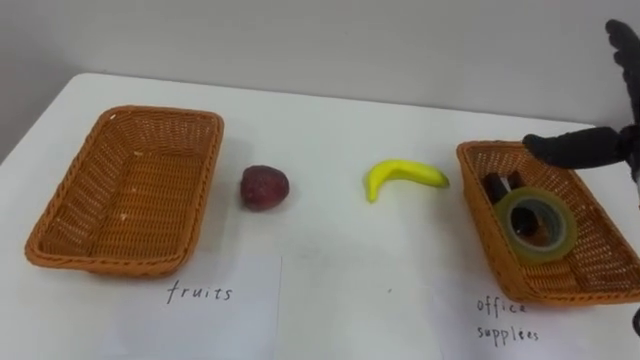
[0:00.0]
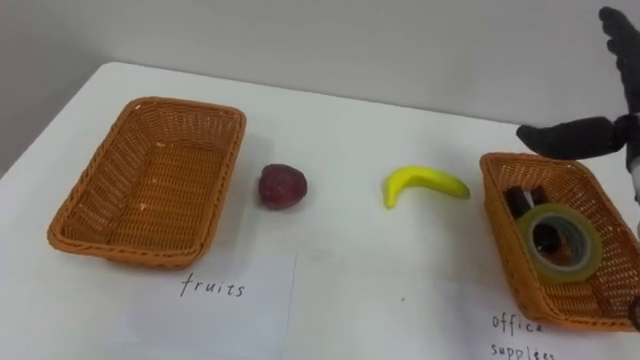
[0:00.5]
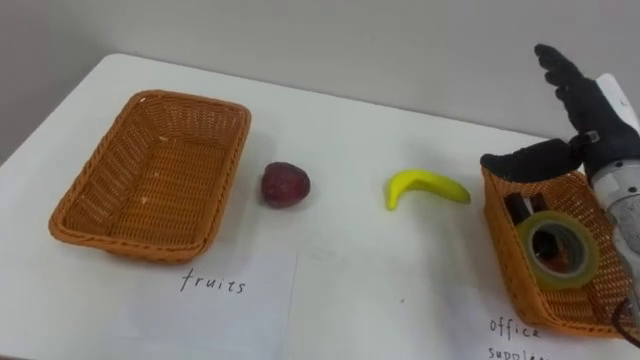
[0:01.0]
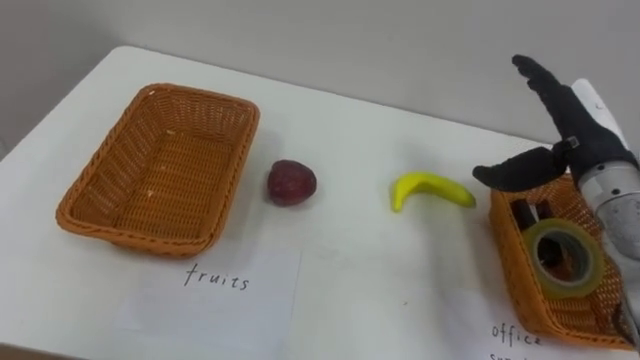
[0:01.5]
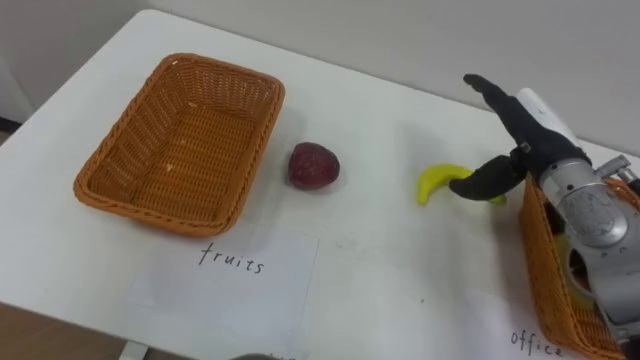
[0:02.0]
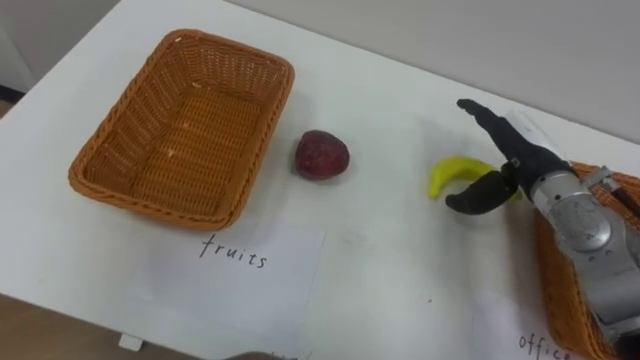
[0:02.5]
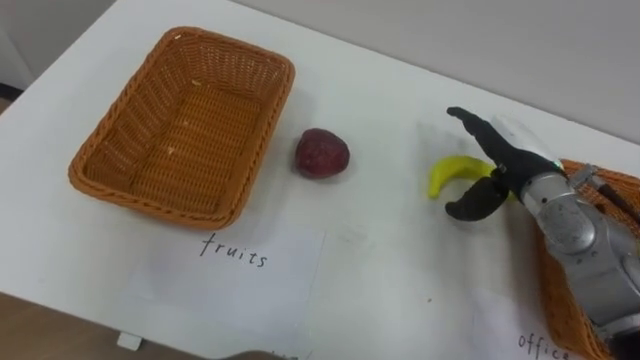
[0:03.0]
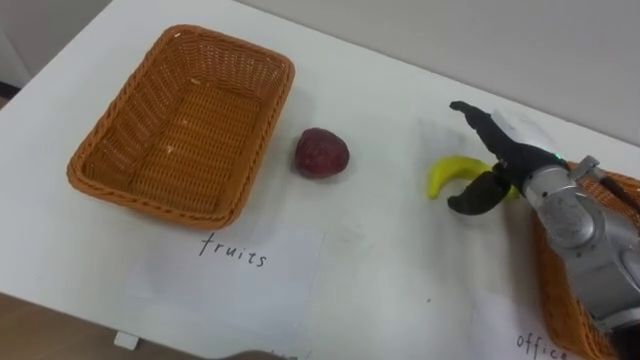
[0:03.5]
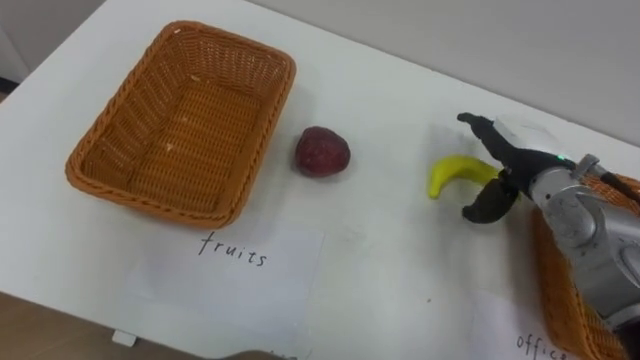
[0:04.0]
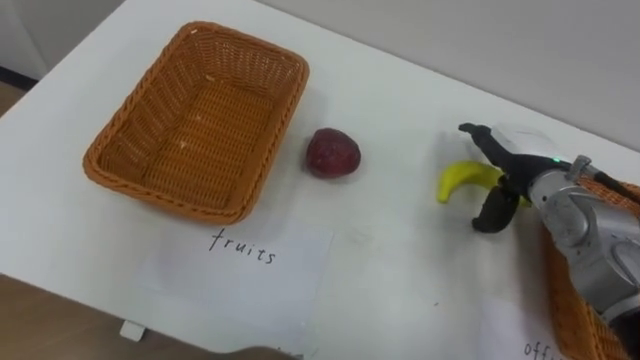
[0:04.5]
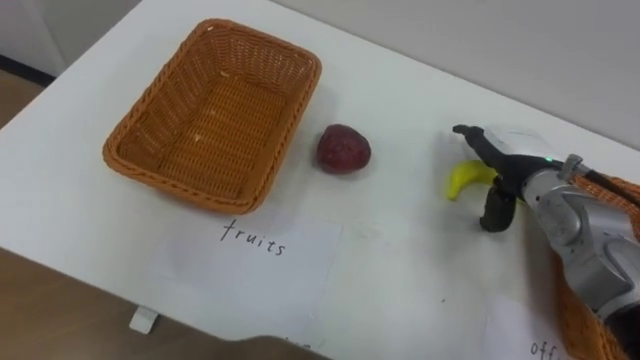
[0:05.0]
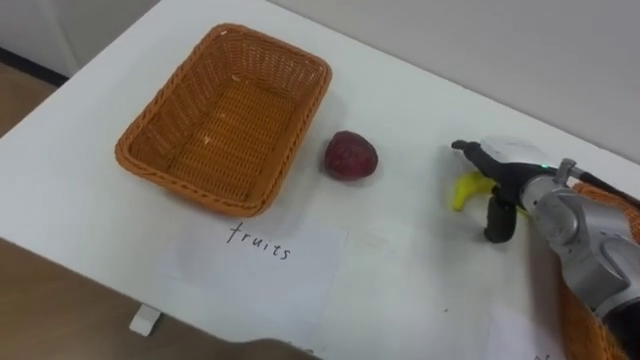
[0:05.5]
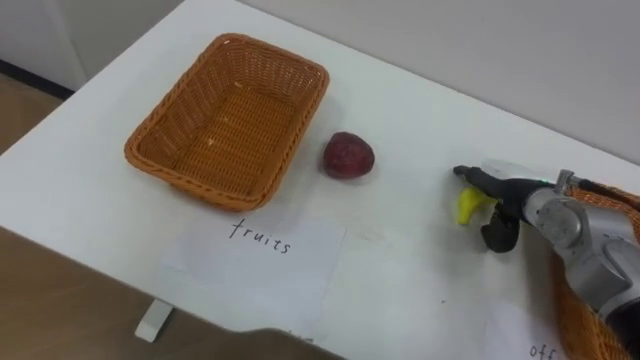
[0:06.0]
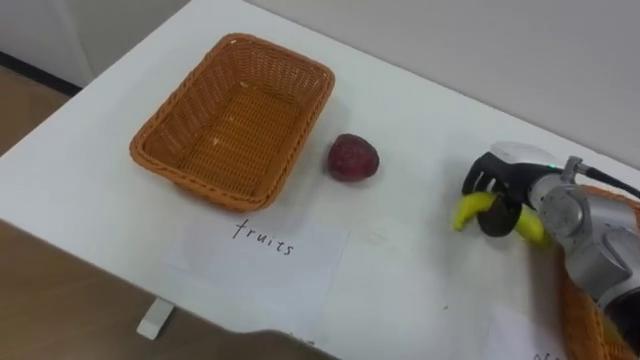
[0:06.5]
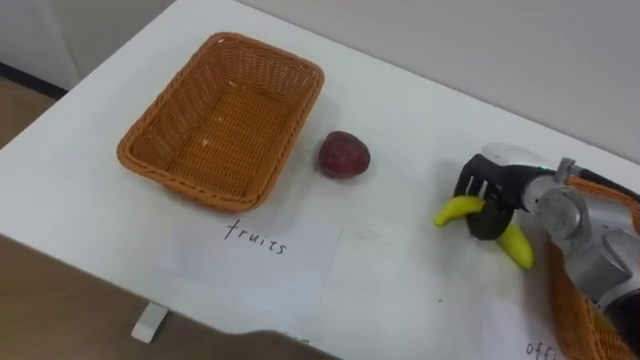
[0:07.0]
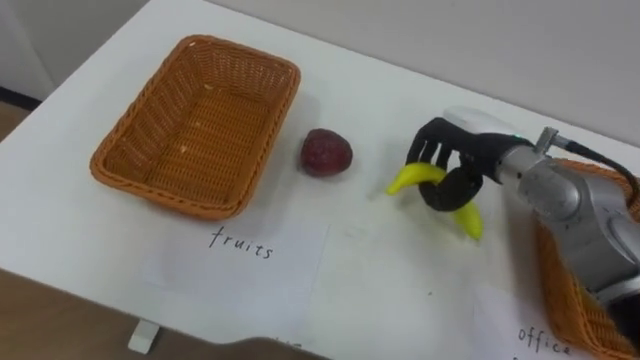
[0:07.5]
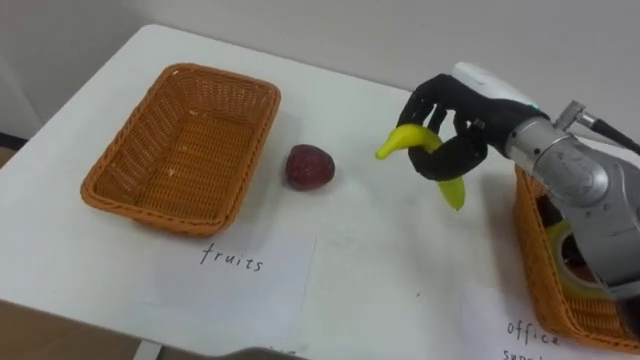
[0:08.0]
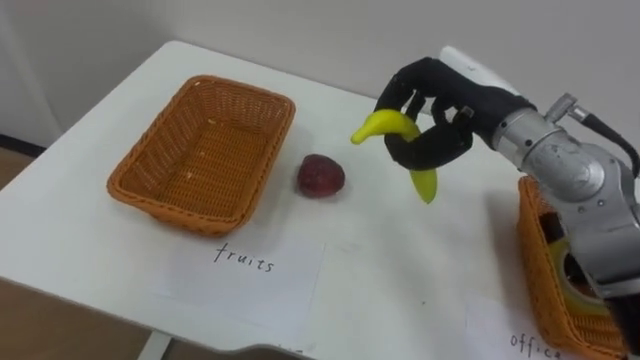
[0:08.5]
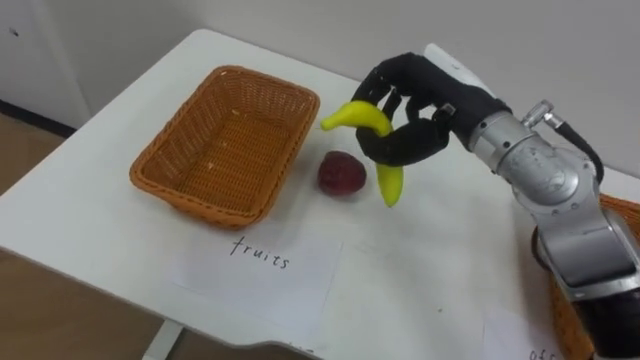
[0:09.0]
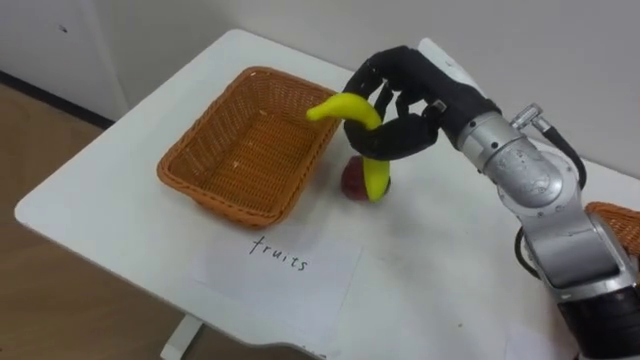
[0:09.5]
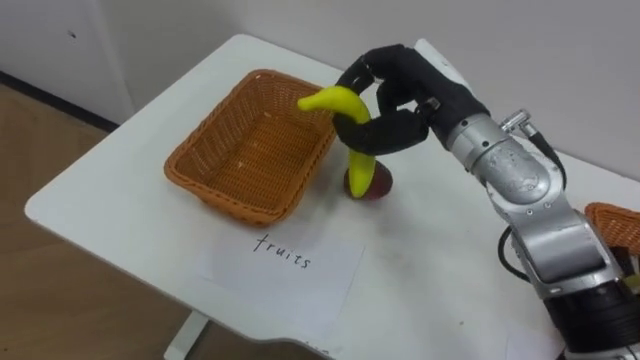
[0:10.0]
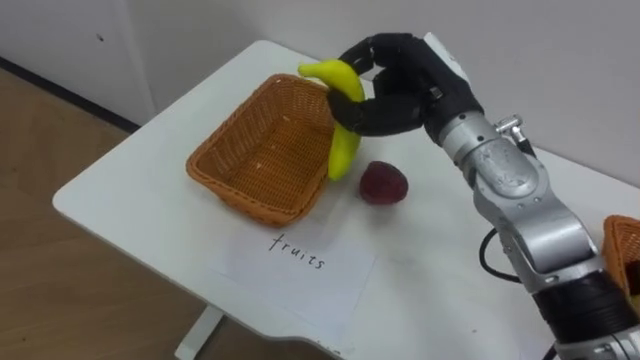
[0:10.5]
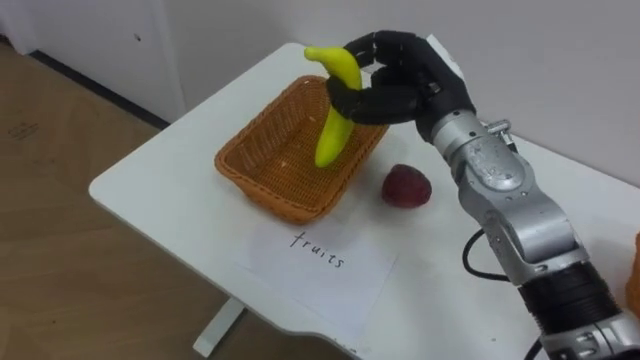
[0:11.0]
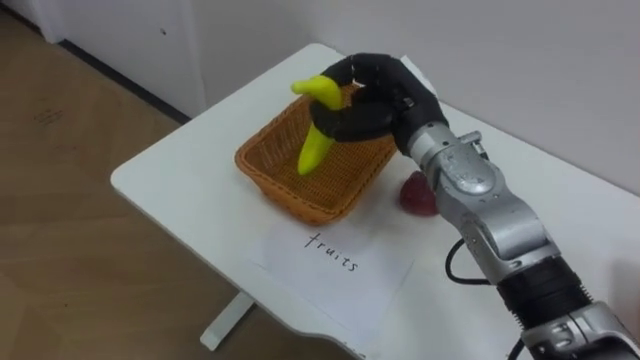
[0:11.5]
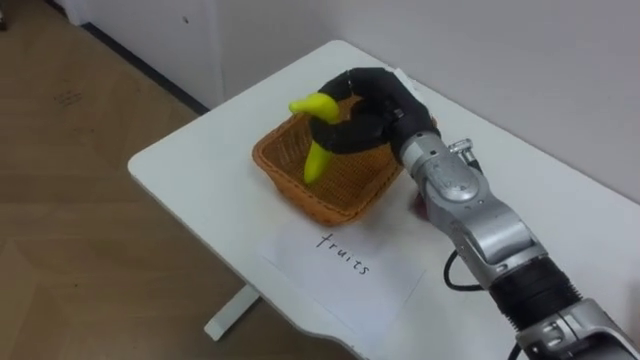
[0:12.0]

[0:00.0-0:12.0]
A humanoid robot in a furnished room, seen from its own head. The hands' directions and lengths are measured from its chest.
Task of the whole recording: Separate the items on the table and place them into the two baskets.
0:04.0 to 0:06.0: The right hand moves downward, about 5 cm.
0:06.0 to 0:08.0: The right hand heads upward and to the left, covering approximately 15 cm, and closes up.
0:08.0 to 0:10.0: The right hand heads to the left, covering about 5 cm.
0:10.0 to 0:12.0: The right hand shifts by about 5 cm.

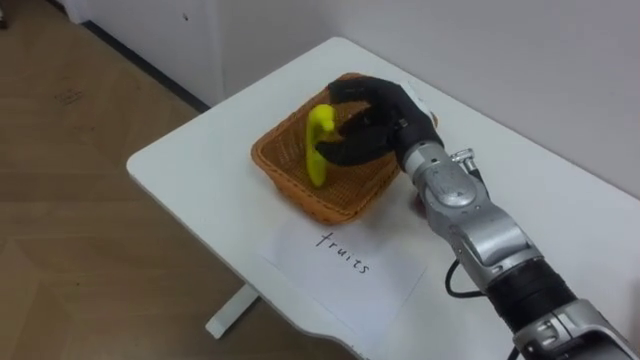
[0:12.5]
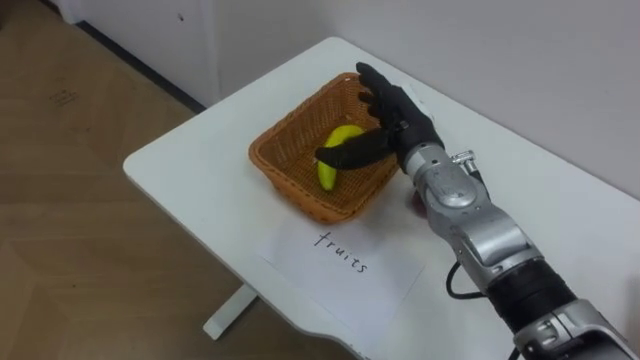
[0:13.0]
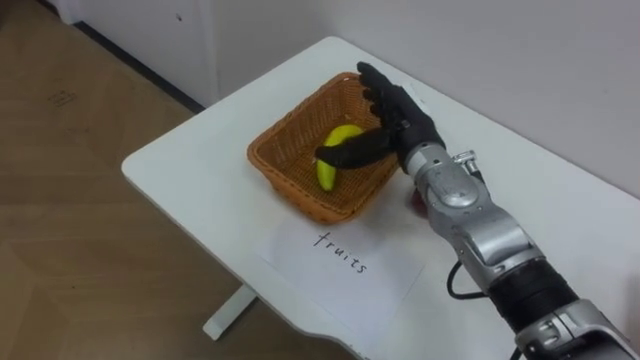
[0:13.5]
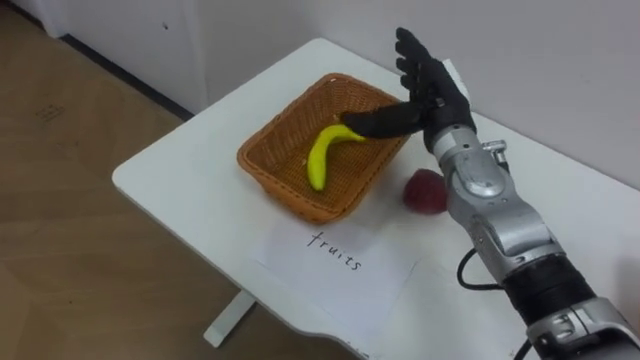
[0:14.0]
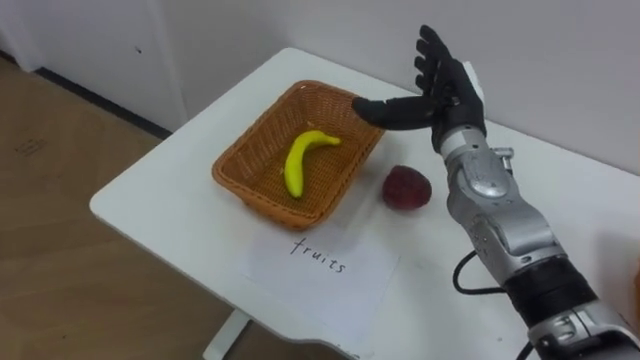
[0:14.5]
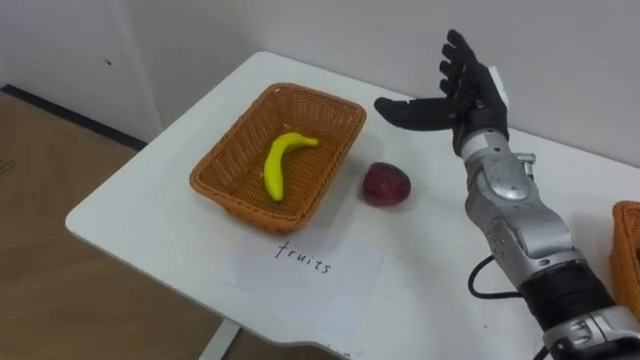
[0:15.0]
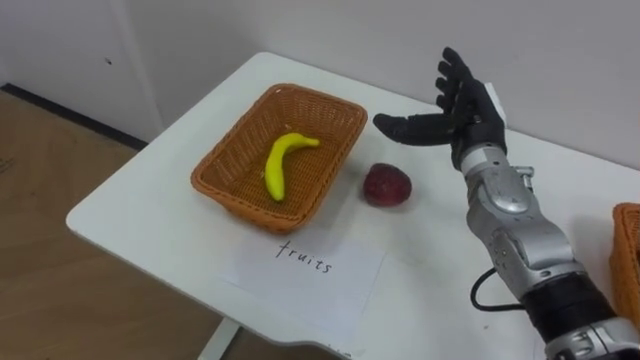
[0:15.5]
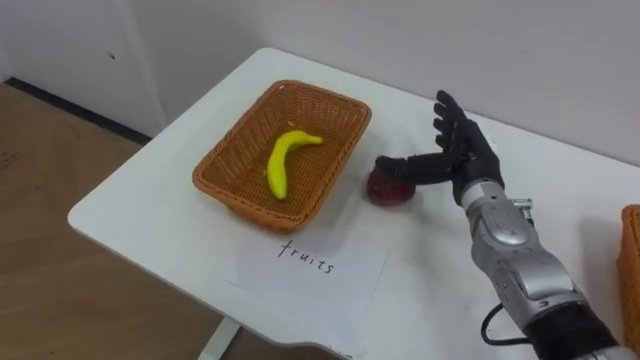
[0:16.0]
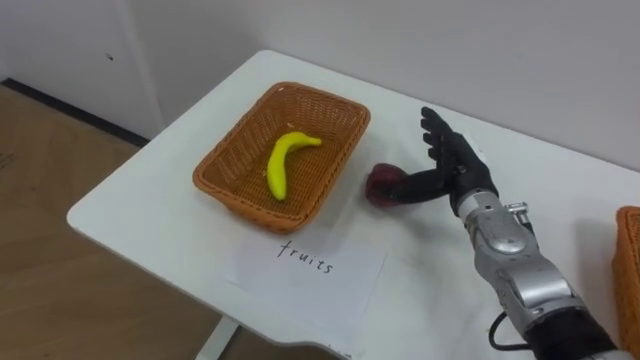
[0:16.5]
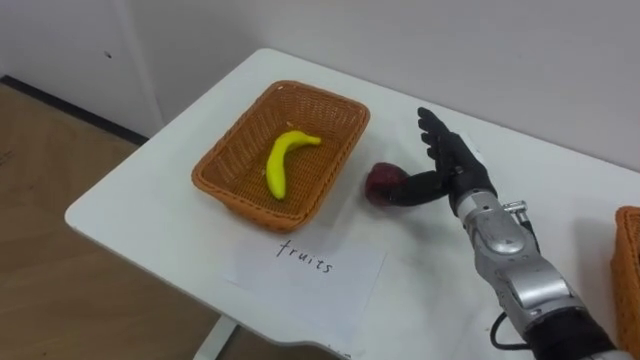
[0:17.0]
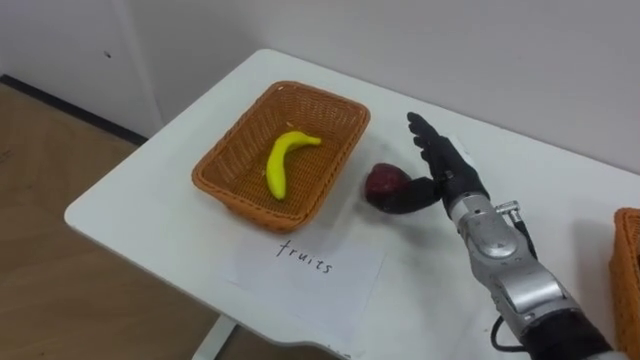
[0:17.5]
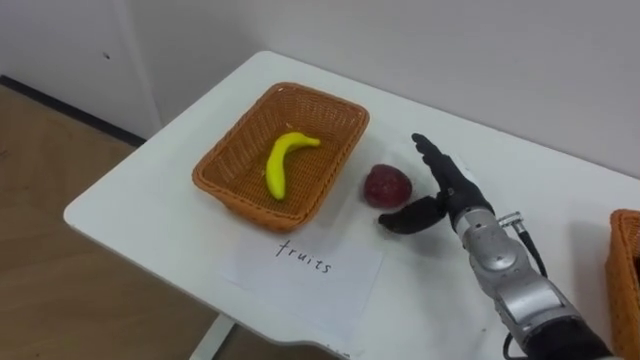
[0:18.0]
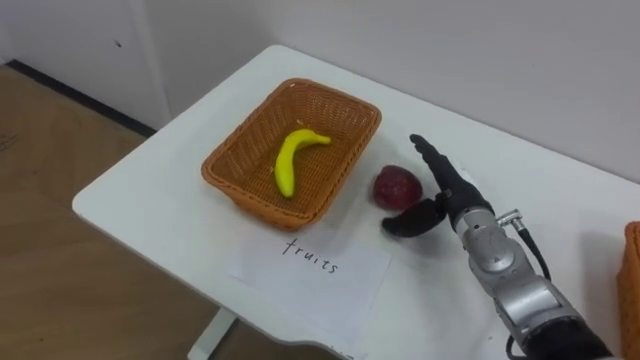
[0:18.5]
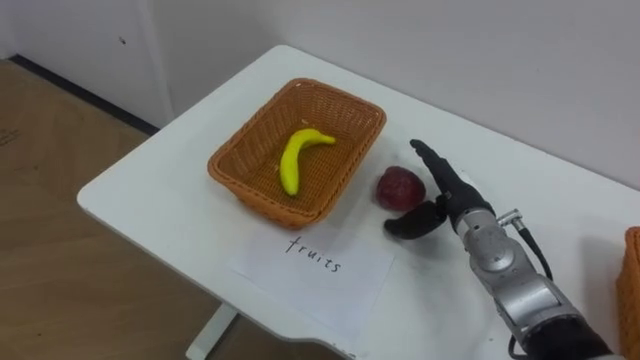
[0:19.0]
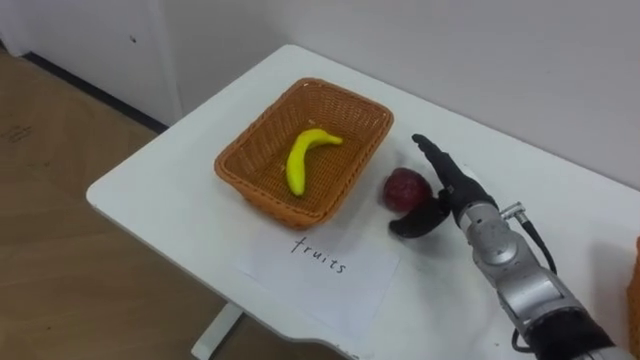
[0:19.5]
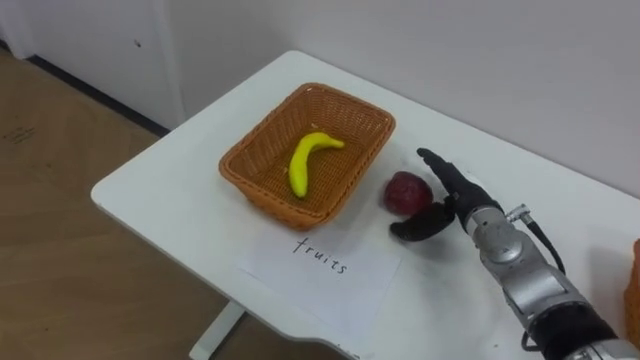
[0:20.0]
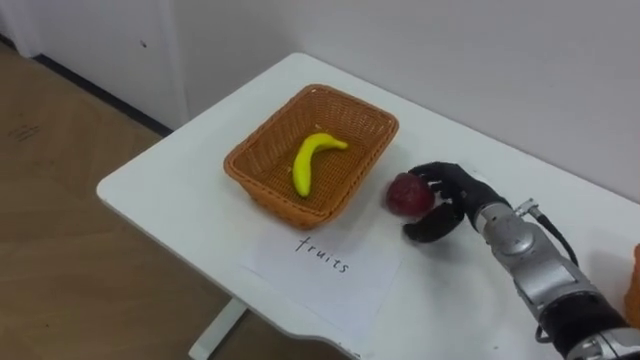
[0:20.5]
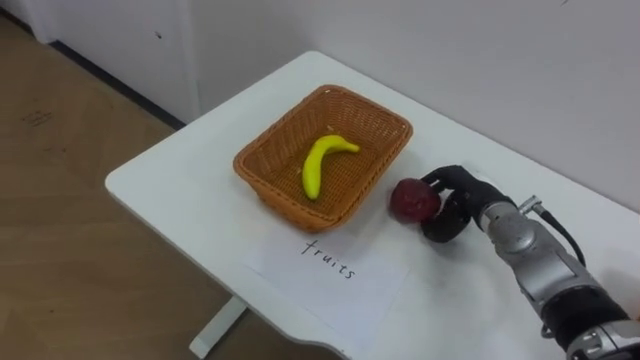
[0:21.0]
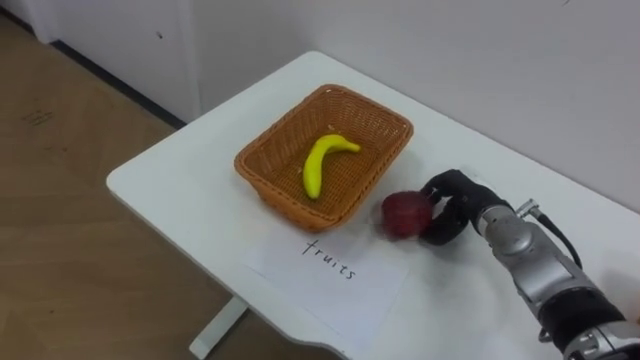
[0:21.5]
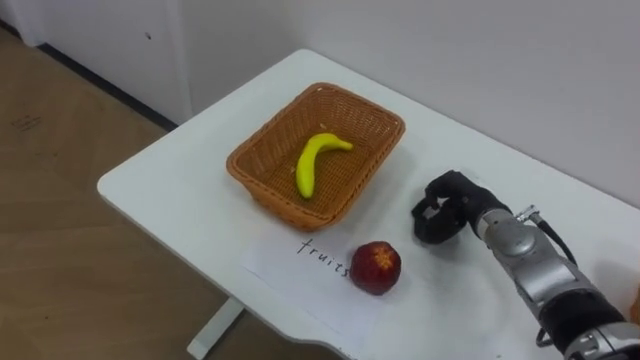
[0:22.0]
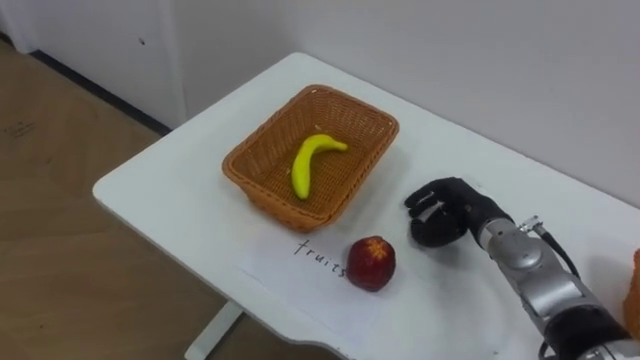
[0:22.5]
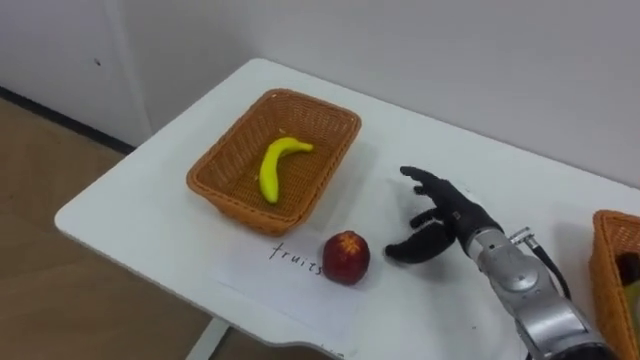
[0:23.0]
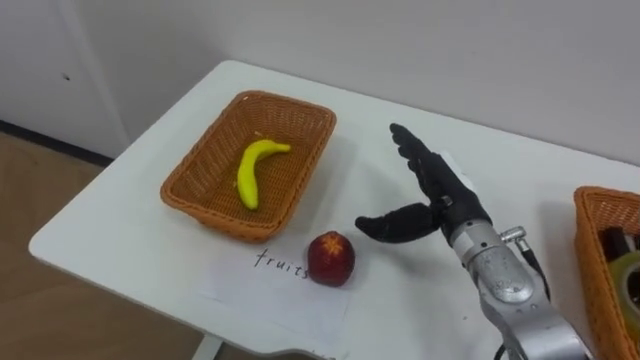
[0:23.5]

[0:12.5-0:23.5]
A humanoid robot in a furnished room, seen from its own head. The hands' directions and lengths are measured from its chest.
Task of the whole recording: Separate the items on the table and place them into the two baskets.
0:12.5 to 0:14.5: The right hand heads to the right, covering roughly 5 cm, and opens up.
0:14.5 to 0:16.0: The right hand travels downward by some 5 cm.
0:16.0 to 0:18.0: The right hand moves some 5 cm.
0:20.0 to 0:21.5: The right hand closes its fingers.
0:21.5 to 0:23.5: The right hand shifts about 5 cm upward, and opens up.
